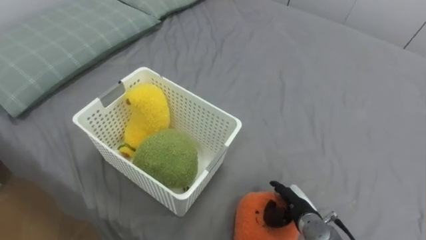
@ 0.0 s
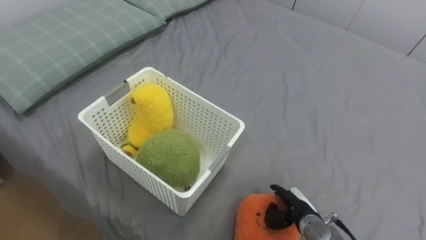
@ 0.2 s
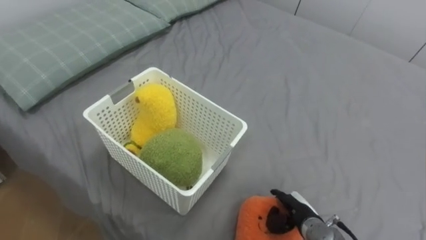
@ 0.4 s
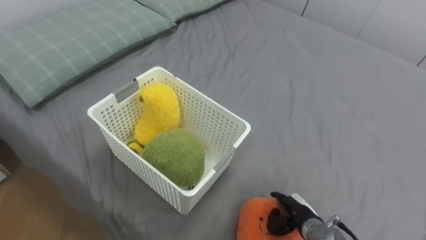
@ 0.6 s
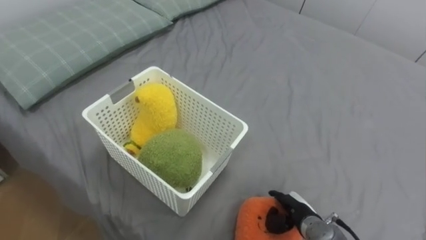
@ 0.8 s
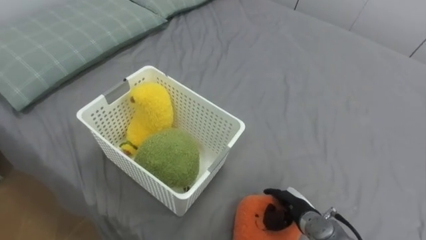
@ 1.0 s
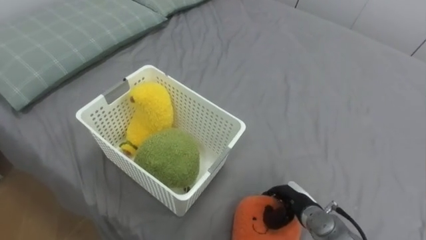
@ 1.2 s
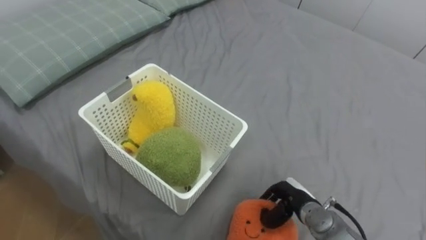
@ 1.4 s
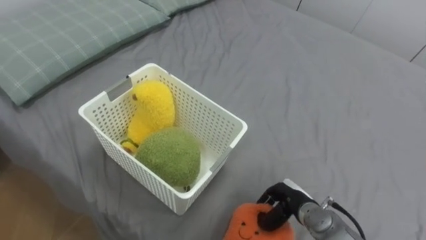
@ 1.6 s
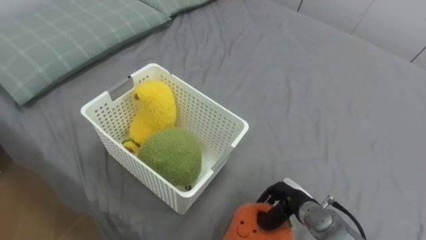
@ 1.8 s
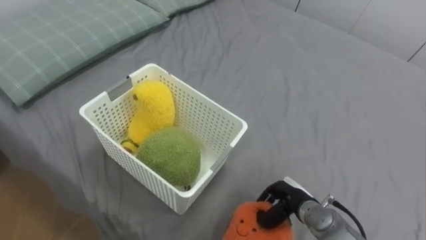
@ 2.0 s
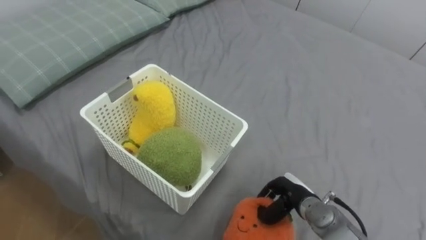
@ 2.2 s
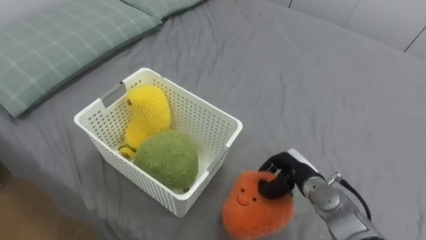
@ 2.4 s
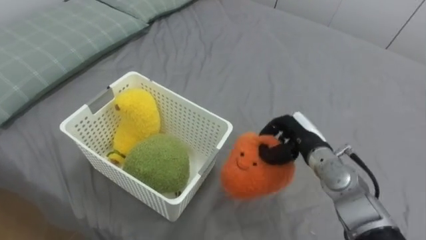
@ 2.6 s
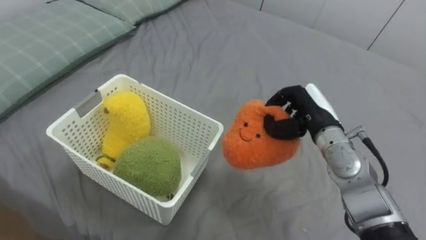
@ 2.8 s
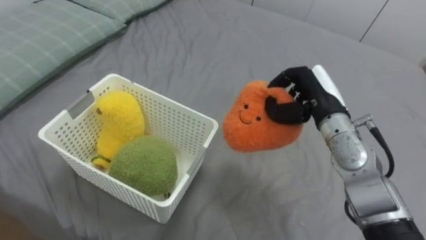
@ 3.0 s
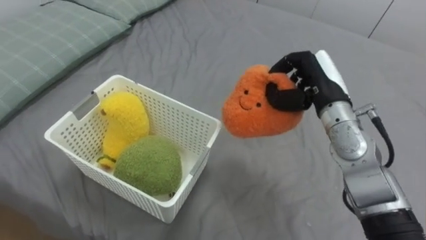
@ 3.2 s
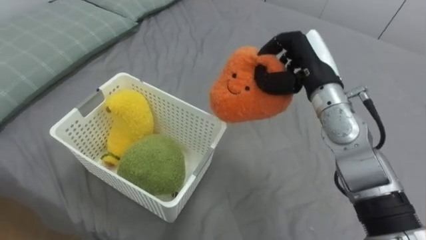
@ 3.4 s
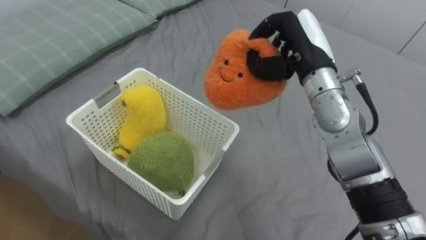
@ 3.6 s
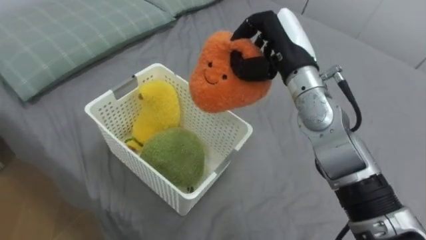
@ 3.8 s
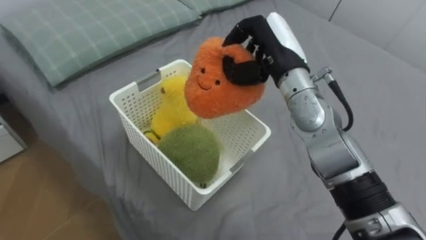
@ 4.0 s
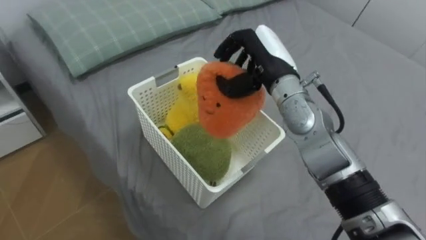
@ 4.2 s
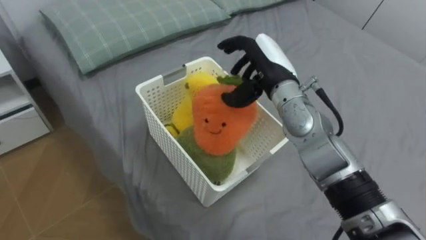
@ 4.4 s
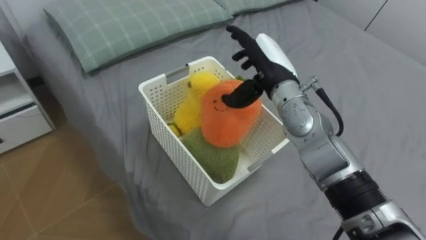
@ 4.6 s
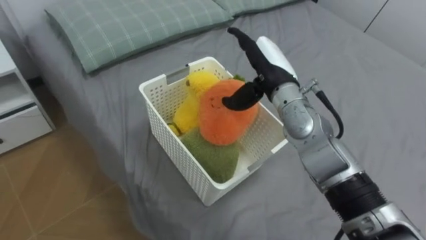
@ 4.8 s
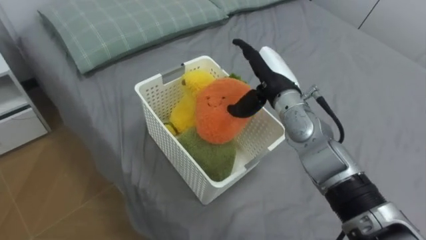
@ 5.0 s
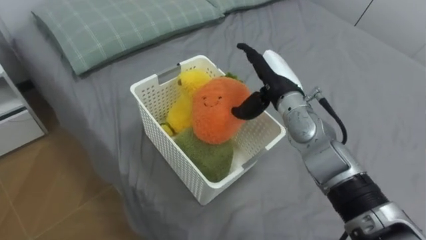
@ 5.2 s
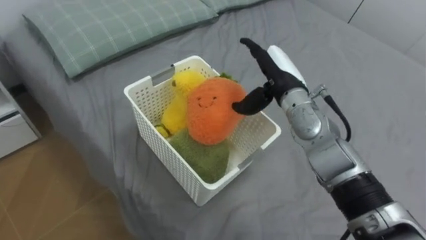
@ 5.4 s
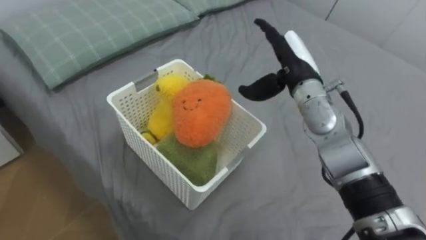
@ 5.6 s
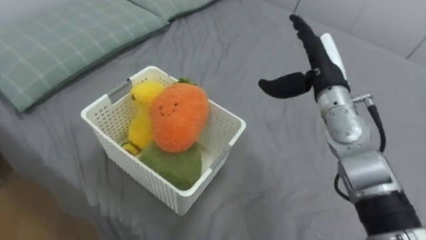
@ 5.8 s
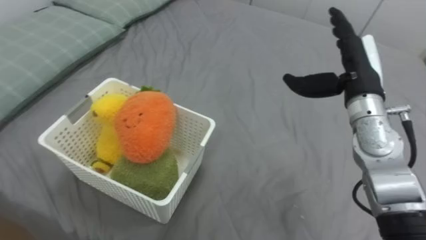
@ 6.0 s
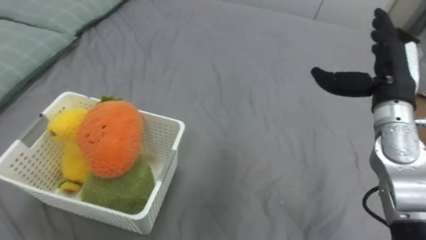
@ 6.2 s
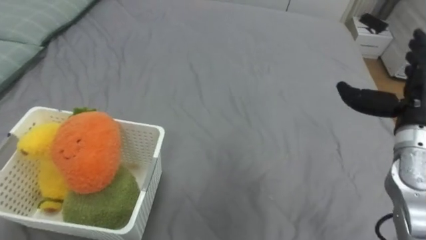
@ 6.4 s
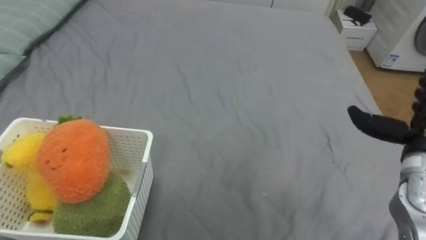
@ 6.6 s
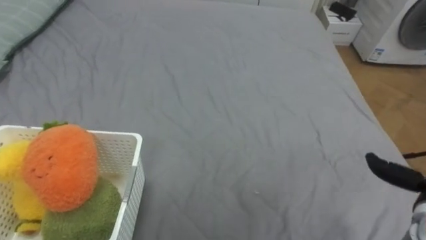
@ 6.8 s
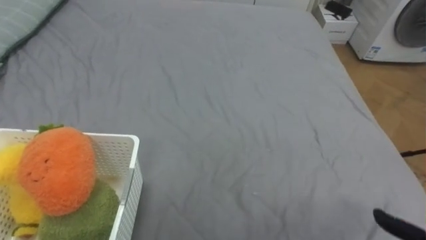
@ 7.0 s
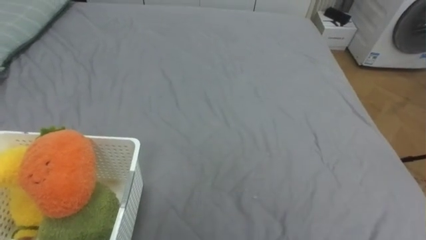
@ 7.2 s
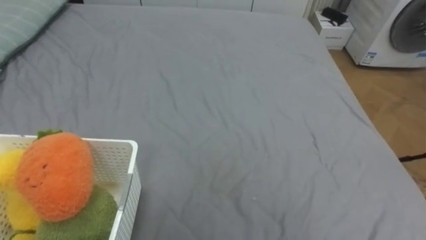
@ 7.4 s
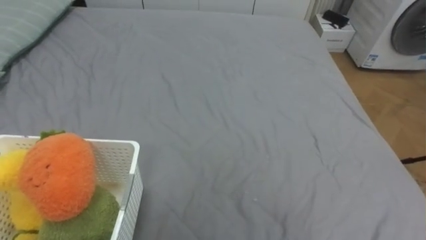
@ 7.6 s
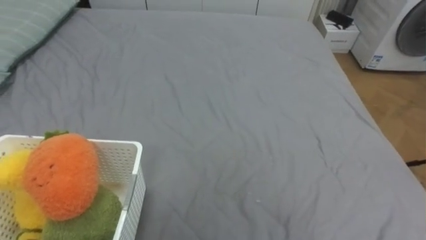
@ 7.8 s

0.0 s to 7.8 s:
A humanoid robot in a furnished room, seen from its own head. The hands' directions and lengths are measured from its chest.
Task of the whole recording: Put the toys on the bed into the basket on the left.
0.0 to 1.6 s: The right hand closes its fingers.
1.6 to 3.2 s: The right hand goes some 25 cm upward and forward.
3.2 to 4.6 s: The right hand goes approximately 10 cm to the left, and opens.
4.6 to 6.2 s: The right hand shifts about 20 cm to the right.

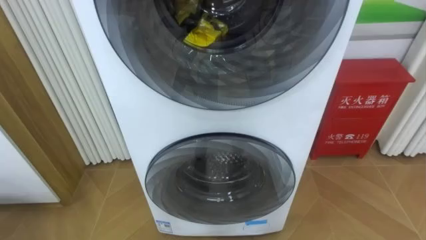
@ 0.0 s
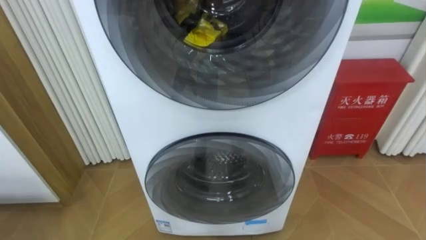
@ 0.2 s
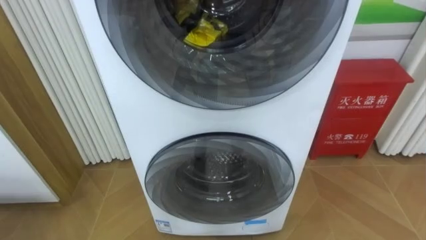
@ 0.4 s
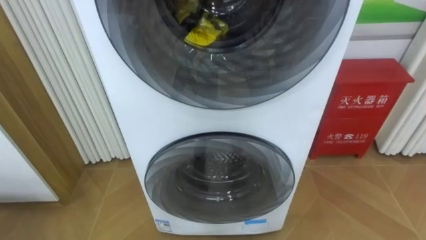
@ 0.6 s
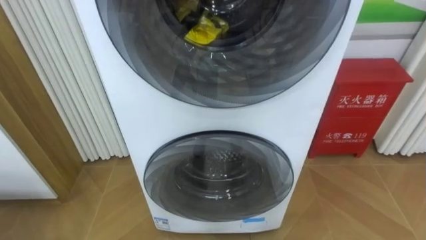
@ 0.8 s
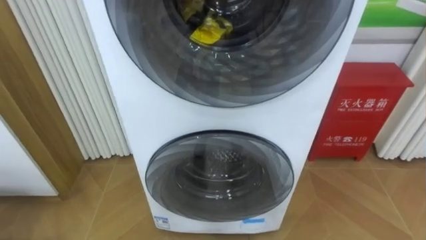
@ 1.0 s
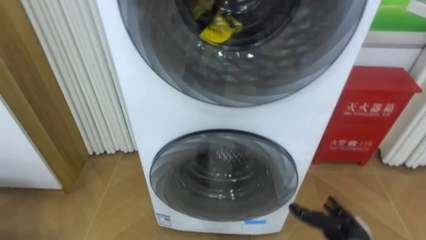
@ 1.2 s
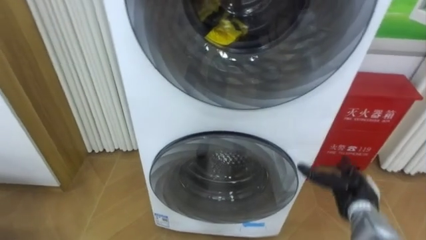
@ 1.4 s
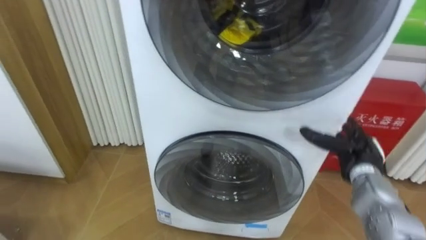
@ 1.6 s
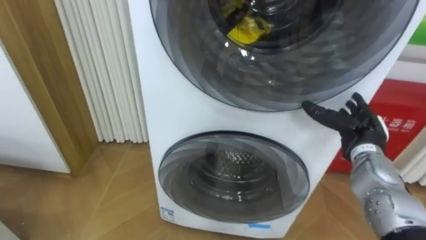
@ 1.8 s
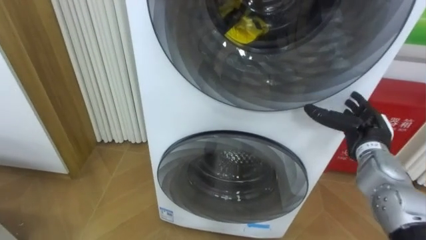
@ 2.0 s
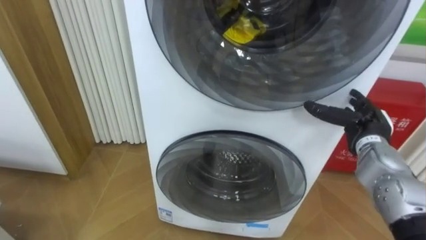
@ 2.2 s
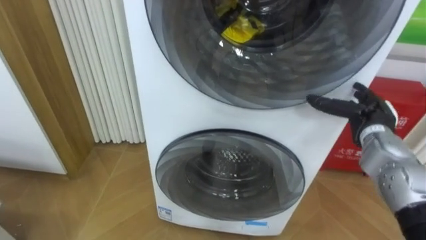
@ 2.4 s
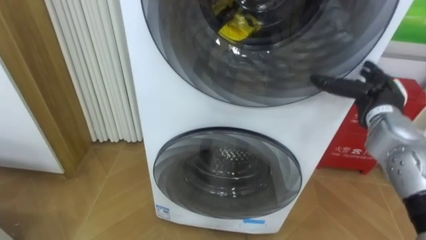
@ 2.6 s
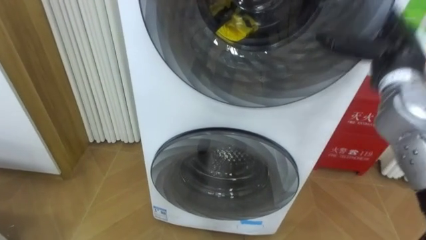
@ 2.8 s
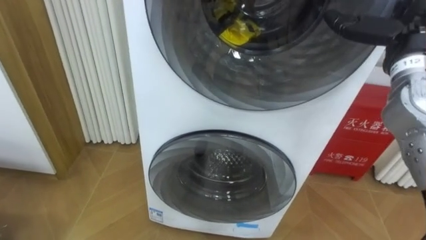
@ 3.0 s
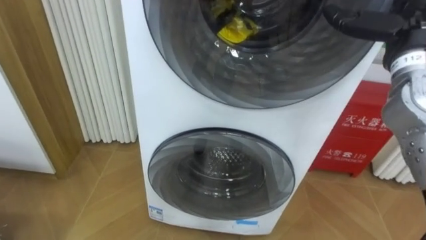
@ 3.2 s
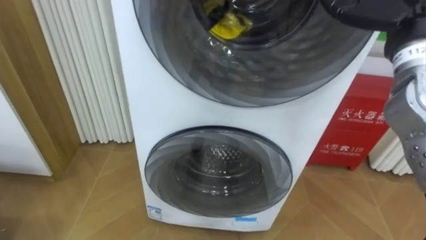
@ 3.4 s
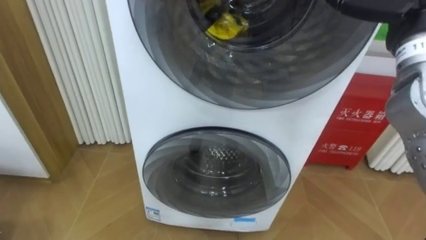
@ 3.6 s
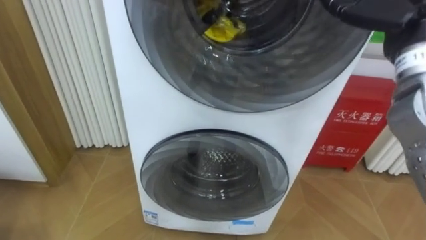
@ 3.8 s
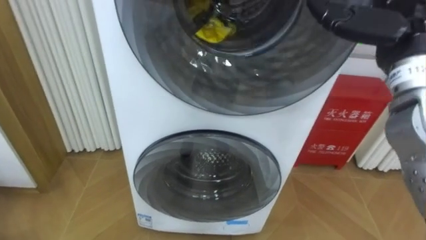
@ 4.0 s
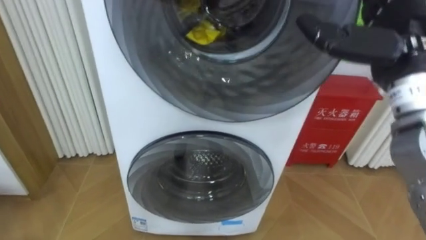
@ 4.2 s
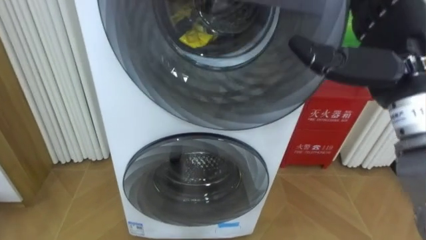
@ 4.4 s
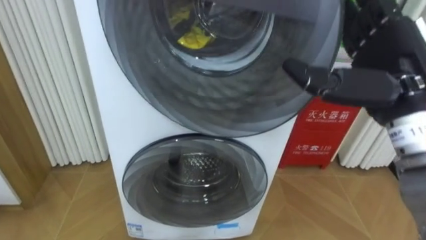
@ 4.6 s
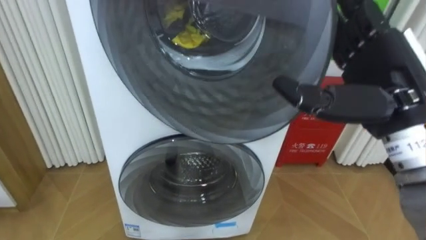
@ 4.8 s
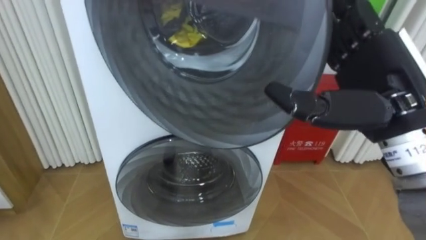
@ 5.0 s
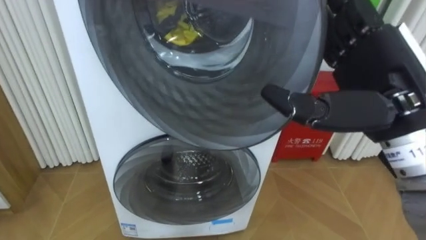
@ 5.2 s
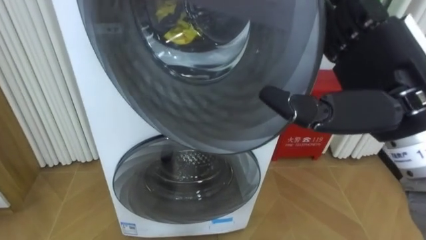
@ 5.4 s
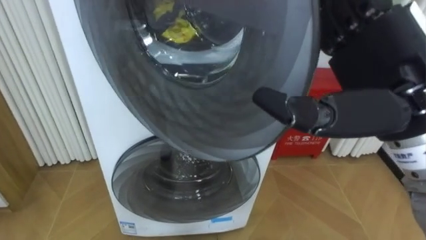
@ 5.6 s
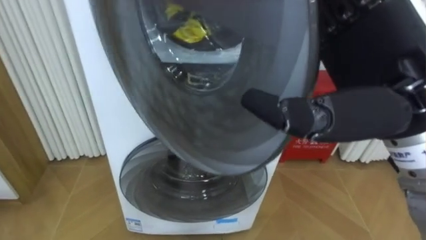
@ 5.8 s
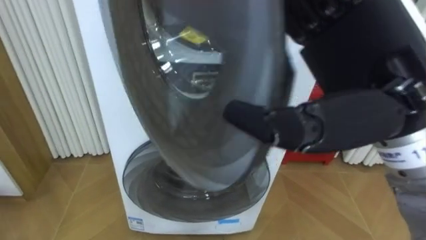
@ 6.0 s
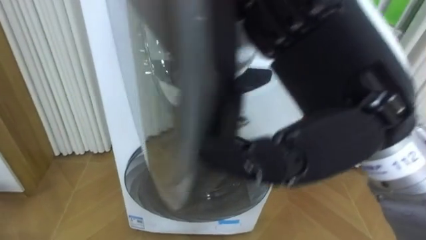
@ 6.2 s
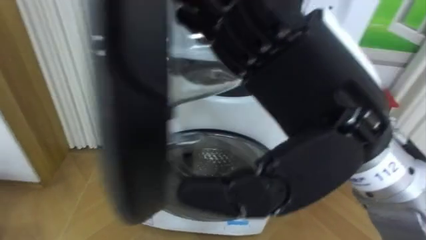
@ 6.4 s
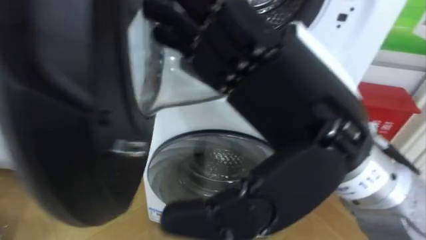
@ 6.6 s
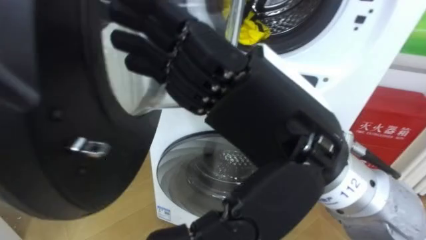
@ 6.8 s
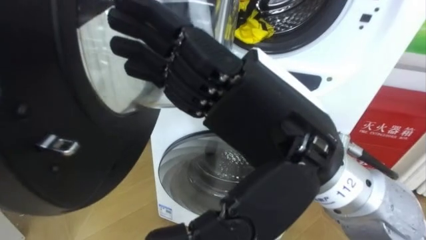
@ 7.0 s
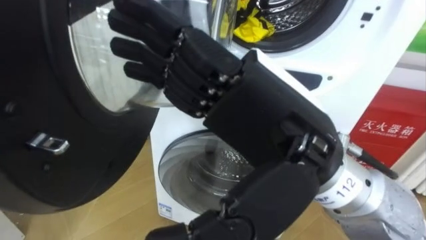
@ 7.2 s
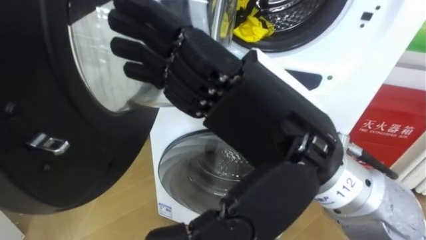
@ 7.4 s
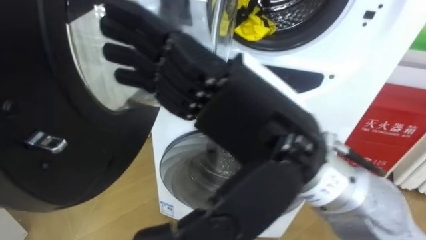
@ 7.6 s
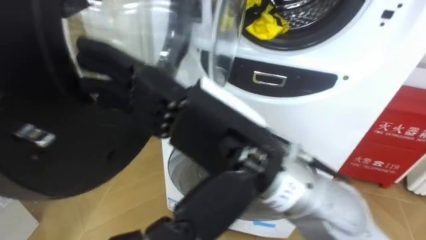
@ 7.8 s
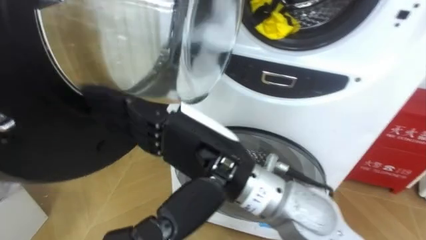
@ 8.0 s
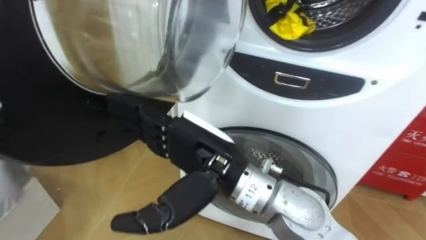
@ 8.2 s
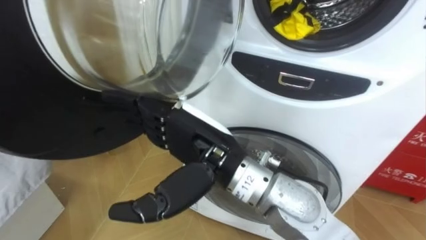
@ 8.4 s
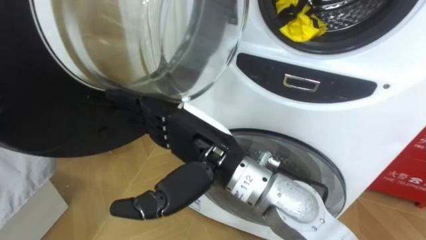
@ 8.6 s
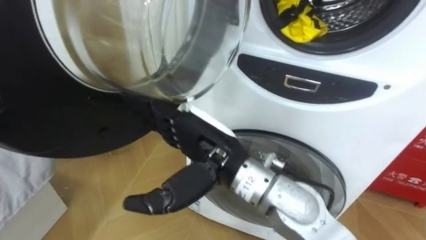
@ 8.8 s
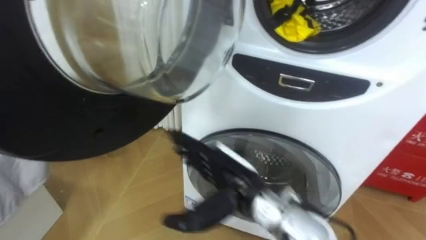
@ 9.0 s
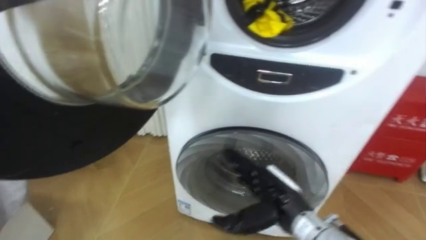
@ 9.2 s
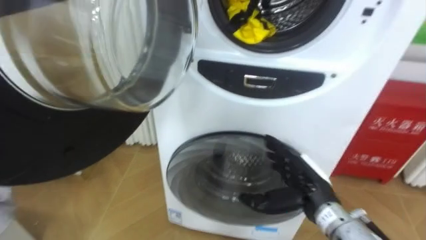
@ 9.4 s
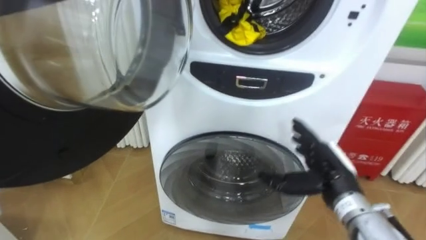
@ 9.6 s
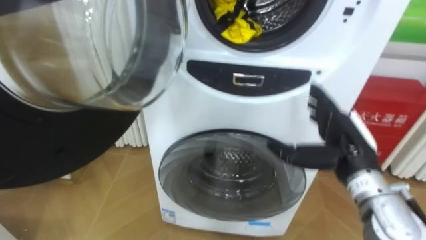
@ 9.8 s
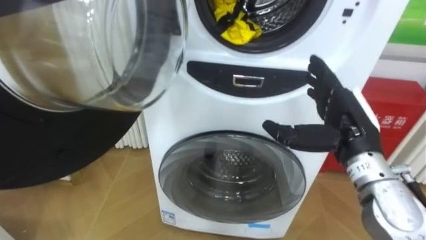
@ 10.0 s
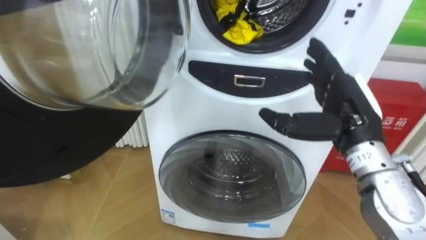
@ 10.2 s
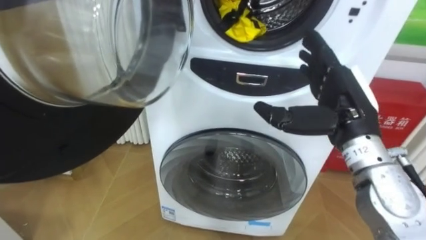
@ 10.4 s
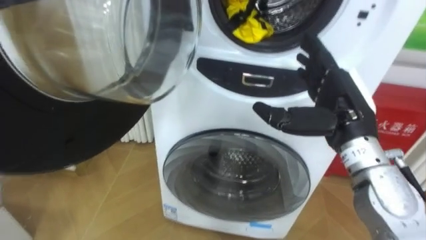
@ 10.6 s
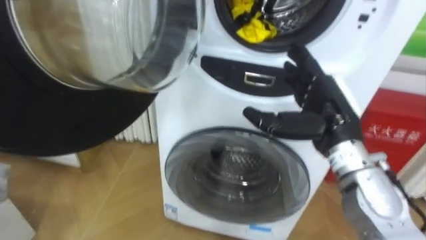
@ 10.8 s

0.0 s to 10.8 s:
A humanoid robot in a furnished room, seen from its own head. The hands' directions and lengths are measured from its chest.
Task of the whole recording: Open the washing machine door, take out the yellow clothes, place them in the box on the right, and close the washing machine door.
1.6 to 3.0 s: The right hand goes about 25 cm upward.
3.0 to 4.6 s: The right hand heads backward and to the left, covering approximately 10 cm.
4.6 to 6.2 s: The right hand heads to the left, backward and upward, covering approximately 15 cm.
6.2 to 7.8 s: The right hand travels to the left and downward by approximately 10 cm.
7.8 to 9.2 s: The right hand heads downward and to the right, covering roughly 25 cm.
9.2 to 10.8 s: The right hand goes approximately 15 cm upward and to the right.
